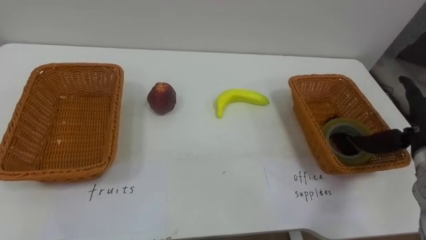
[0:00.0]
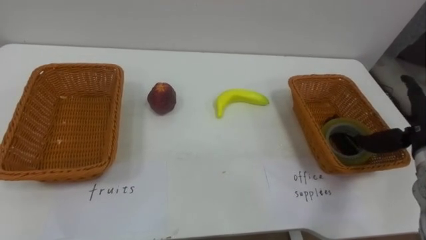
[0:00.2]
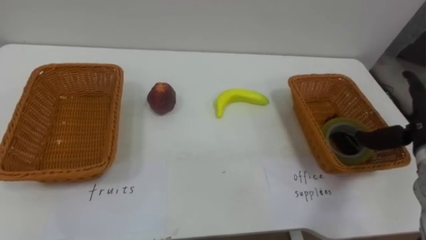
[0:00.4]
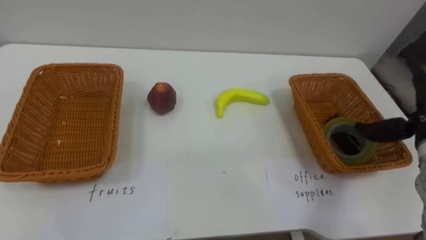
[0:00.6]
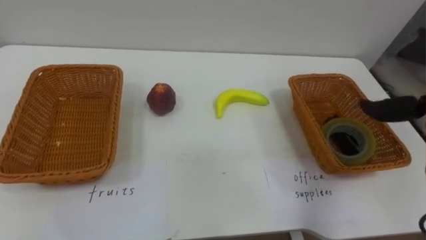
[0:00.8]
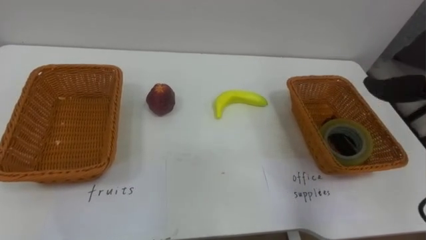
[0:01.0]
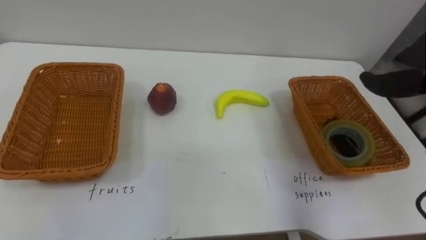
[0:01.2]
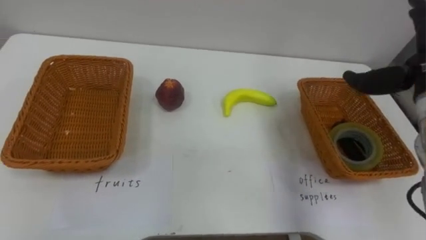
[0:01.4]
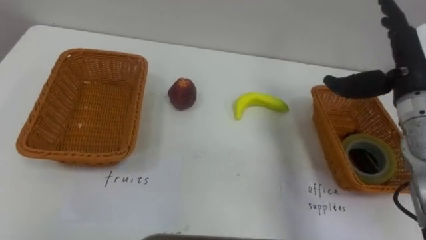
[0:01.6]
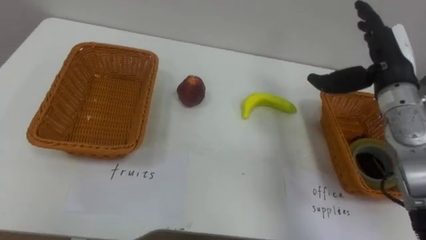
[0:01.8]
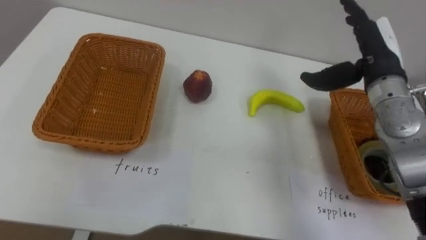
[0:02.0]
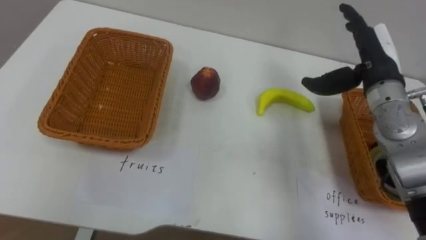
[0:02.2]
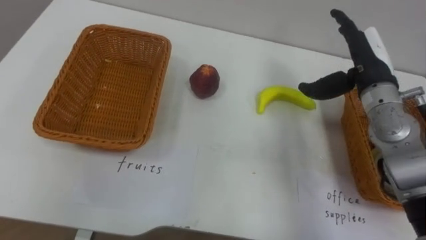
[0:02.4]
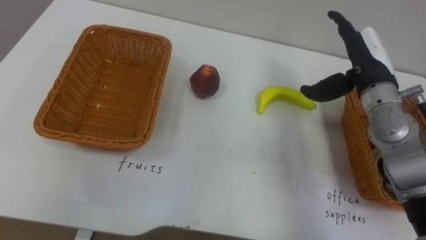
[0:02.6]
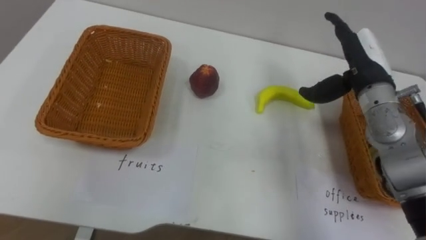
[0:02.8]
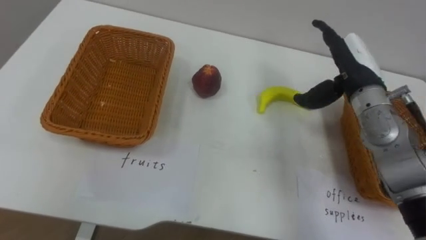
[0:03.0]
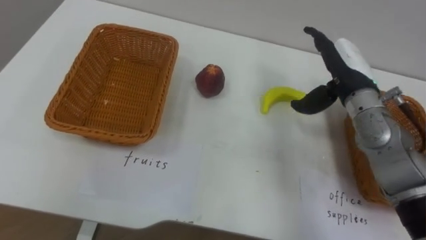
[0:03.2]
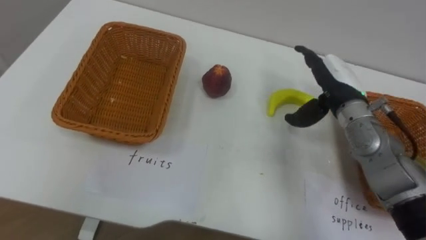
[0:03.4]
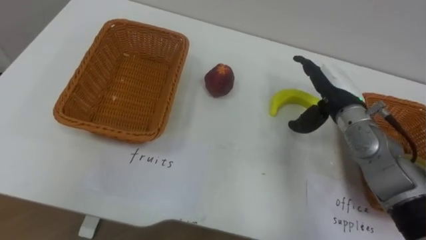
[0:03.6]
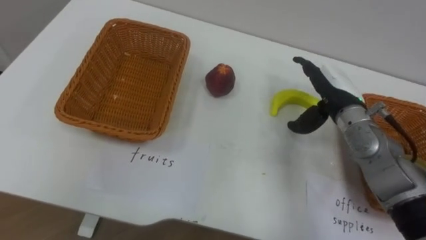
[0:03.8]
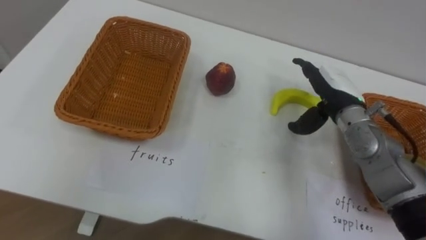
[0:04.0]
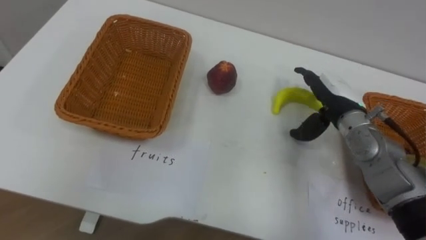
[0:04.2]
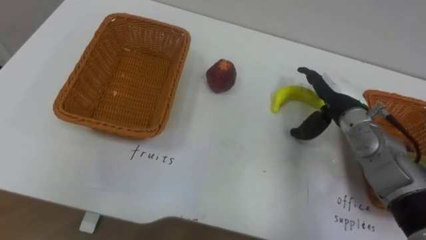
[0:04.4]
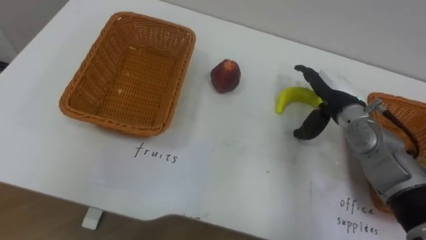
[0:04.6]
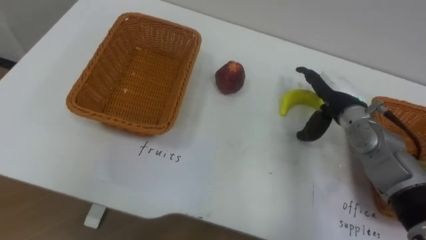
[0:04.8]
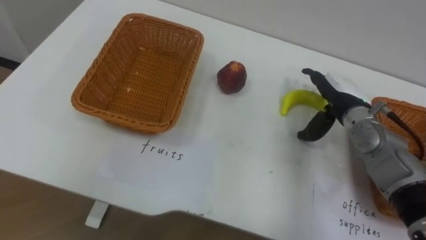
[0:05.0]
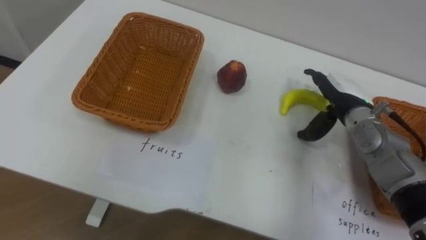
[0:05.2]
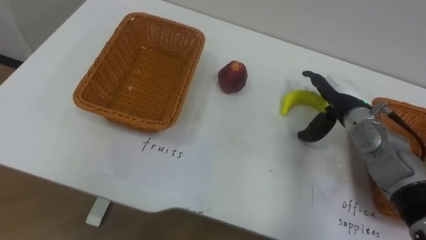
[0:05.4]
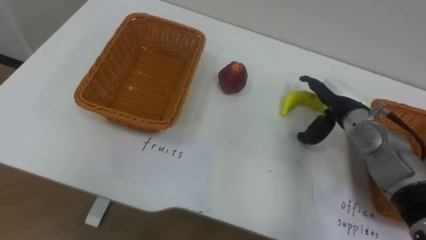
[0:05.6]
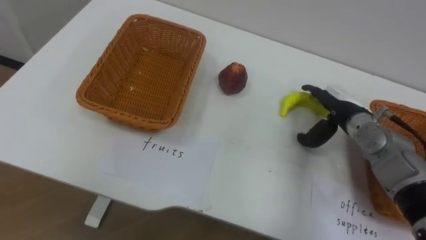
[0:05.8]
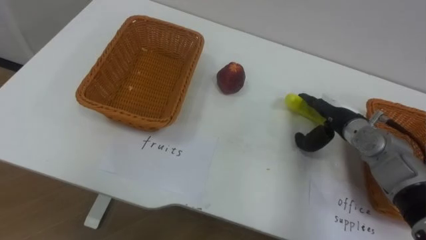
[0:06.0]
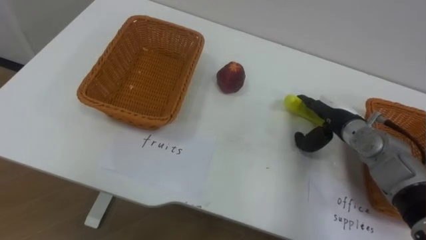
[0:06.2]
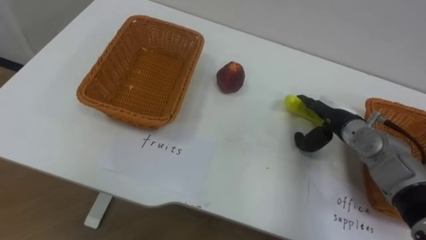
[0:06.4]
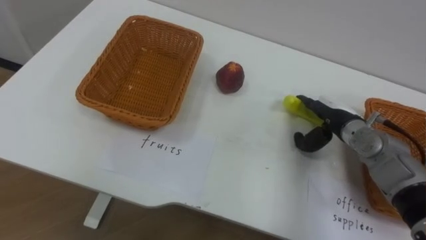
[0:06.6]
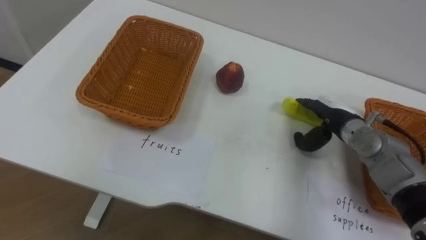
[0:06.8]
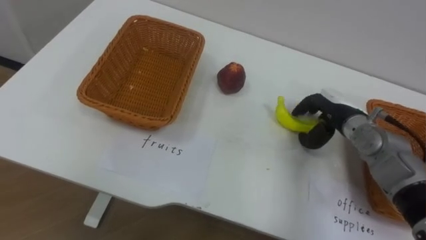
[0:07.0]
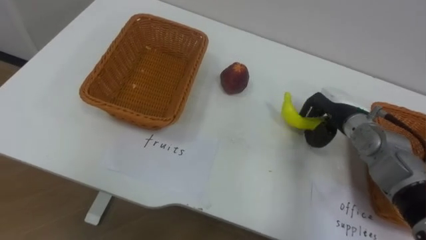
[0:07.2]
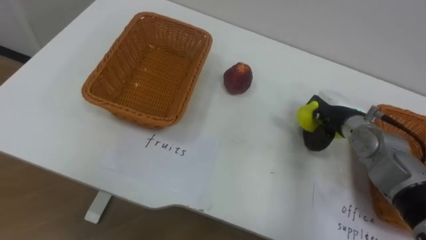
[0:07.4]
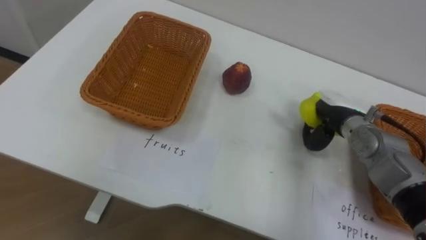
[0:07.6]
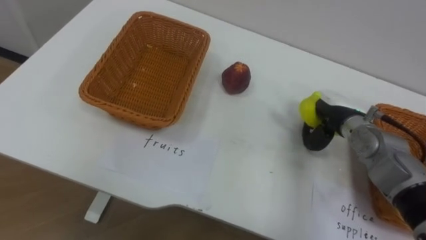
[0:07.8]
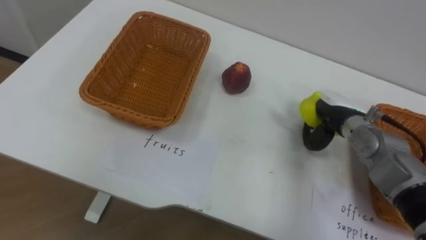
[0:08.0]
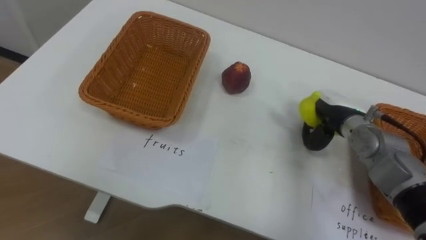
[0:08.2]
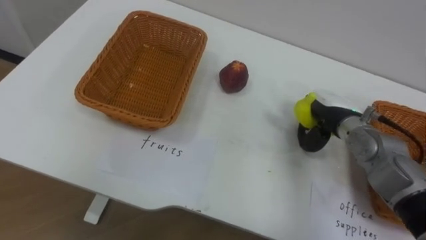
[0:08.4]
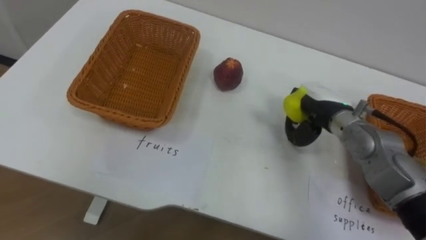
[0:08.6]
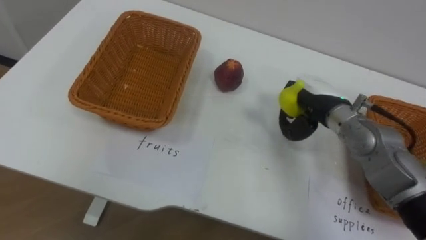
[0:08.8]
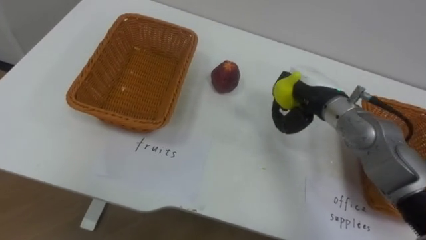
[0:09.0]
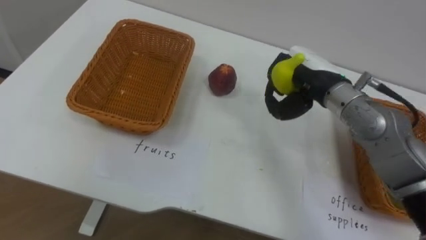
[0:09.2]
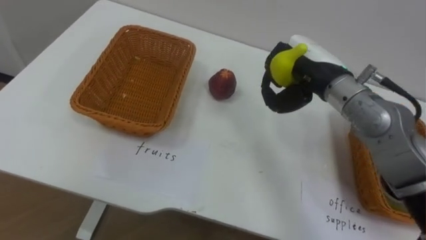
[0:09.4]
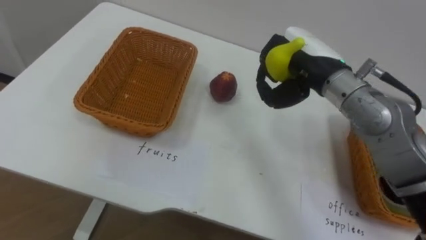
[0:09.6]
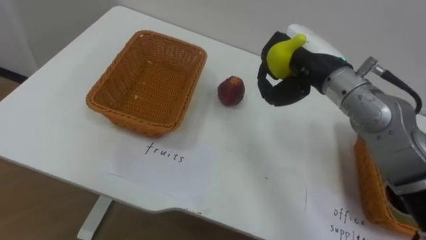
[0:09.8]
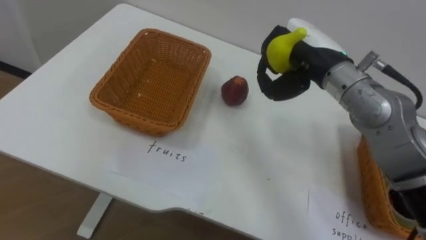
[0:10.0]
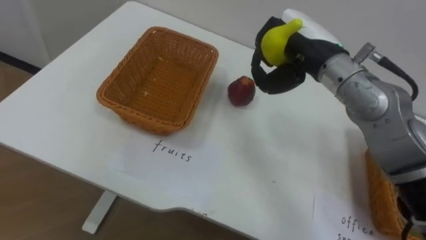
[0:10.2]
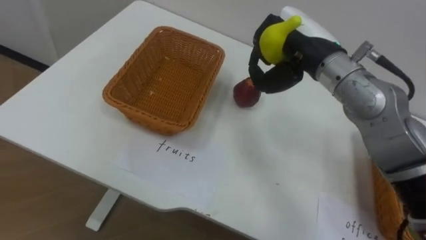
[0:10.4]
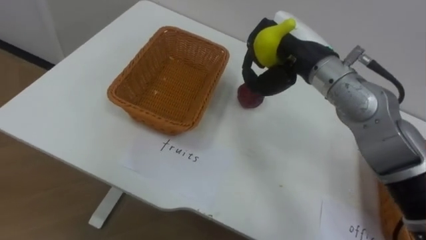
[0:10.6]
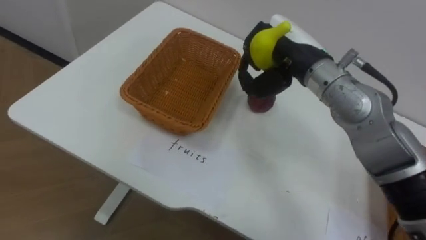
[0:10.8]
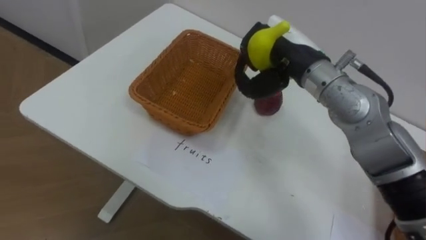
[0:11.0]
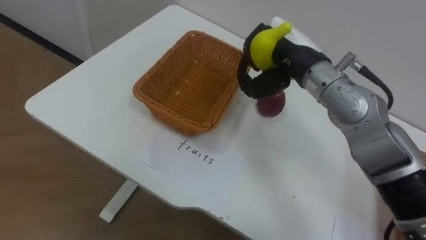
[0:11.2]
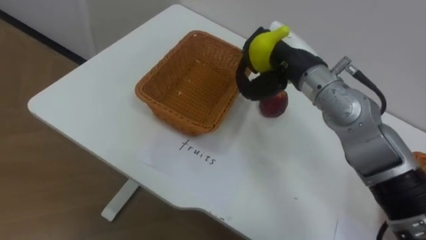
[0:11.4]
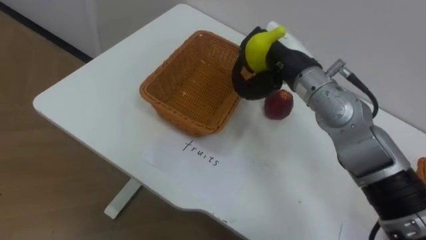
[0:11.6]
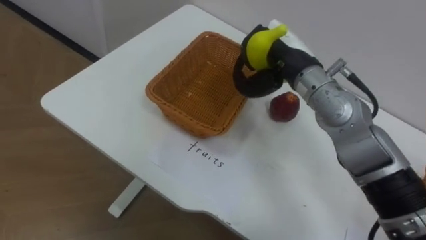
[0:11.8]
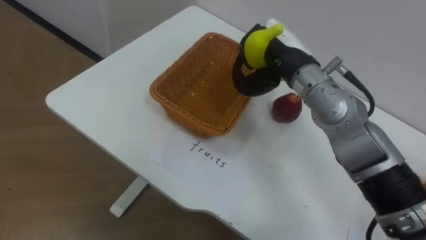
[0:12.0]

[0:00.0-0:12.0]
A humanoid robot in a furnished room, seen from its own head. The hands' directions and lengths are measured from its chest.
Task of the whole recording: Separate the items on the table and place them into the two baskets.
0:01.6 to 0:03.0: The right hand is displaced to the left by roughly 5 cm.
0:03.0 to 0:04.4: The right hand travels downward by approximately 5 cm.
0:04.4 to 0:06.0: The right hand ends up some 5 cm from where it was.
0:06.0 to 0:07.6: The right hand closes.
0:07.6 to 0:09.0: The right hand moves upward and to the left, roughly 10 cm.
0:09.0 to 0:10.4: The right hand goes approximately 10 cm upward.

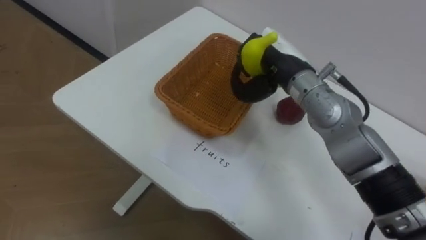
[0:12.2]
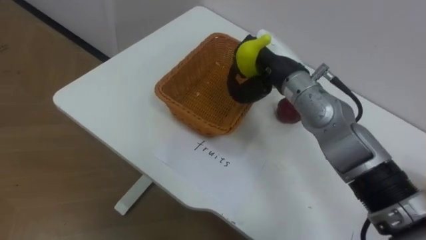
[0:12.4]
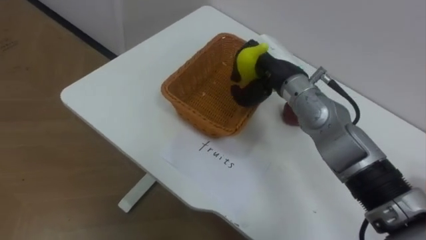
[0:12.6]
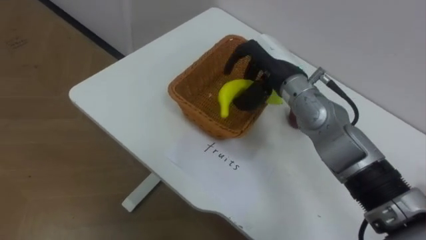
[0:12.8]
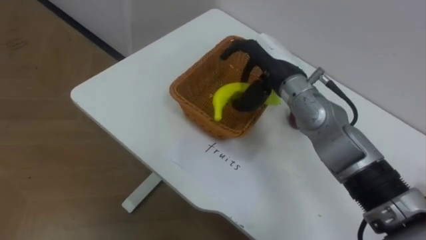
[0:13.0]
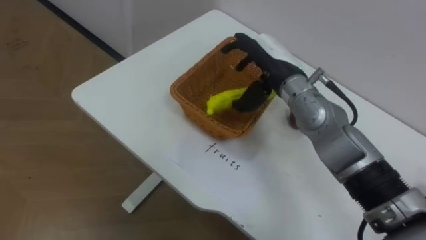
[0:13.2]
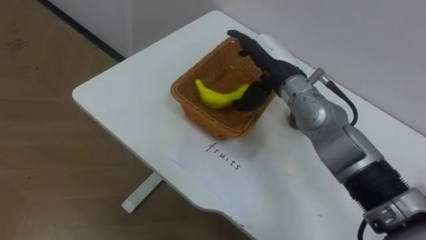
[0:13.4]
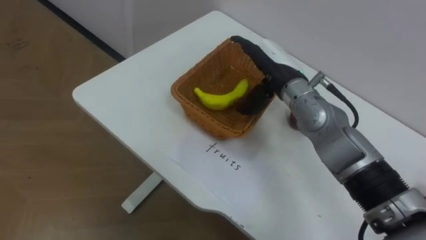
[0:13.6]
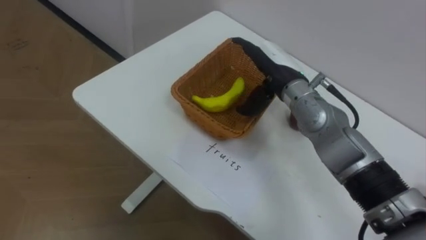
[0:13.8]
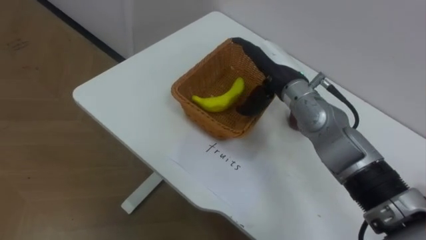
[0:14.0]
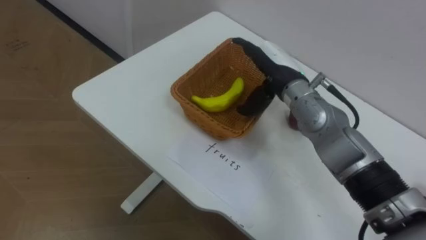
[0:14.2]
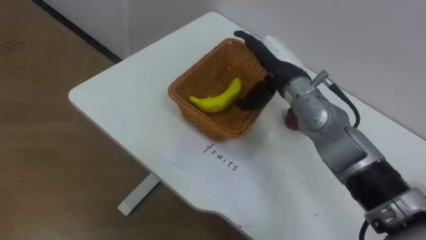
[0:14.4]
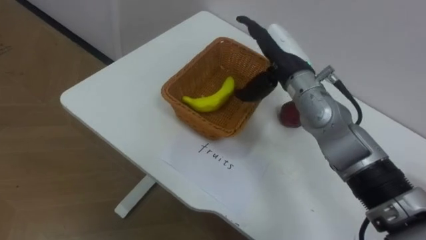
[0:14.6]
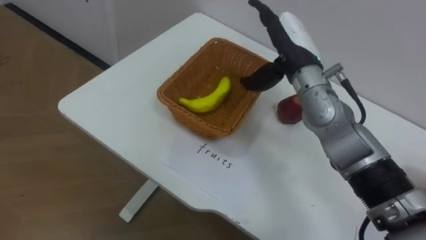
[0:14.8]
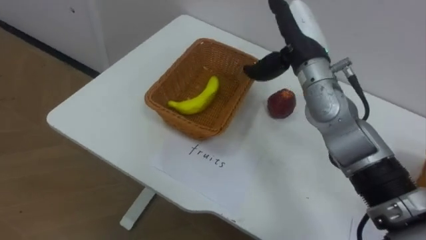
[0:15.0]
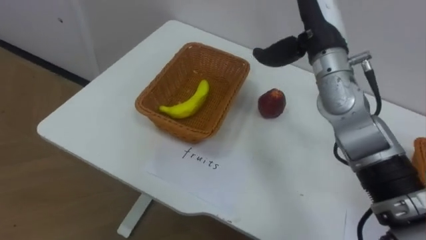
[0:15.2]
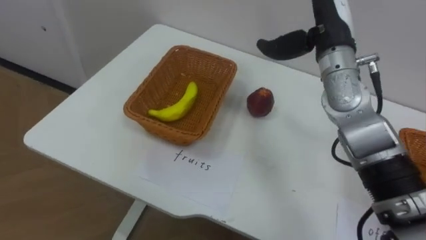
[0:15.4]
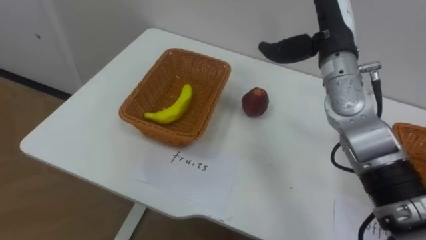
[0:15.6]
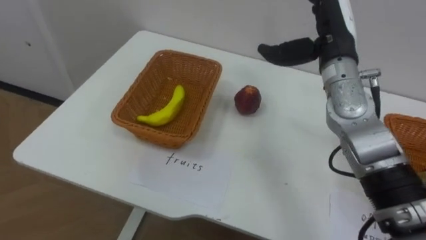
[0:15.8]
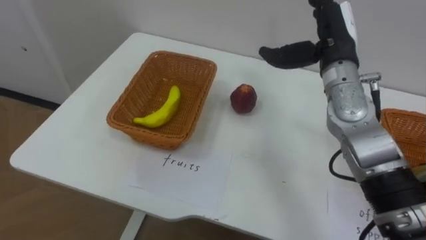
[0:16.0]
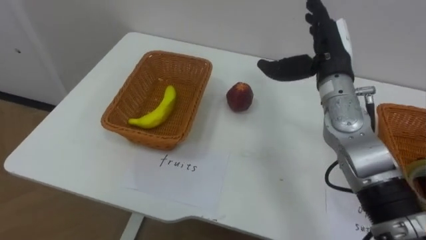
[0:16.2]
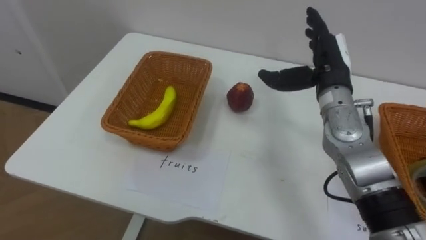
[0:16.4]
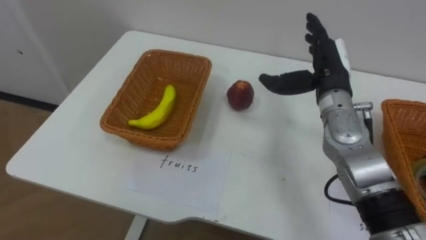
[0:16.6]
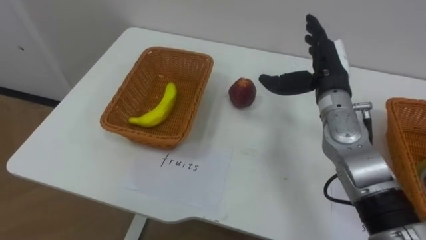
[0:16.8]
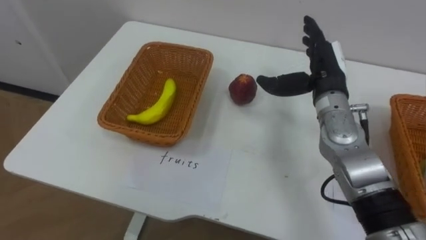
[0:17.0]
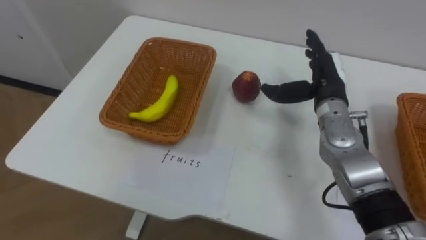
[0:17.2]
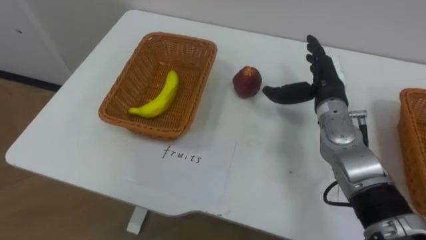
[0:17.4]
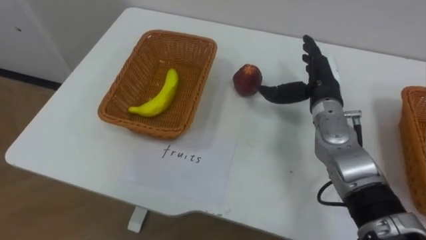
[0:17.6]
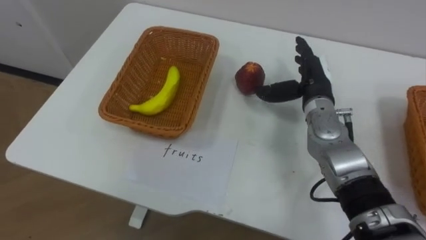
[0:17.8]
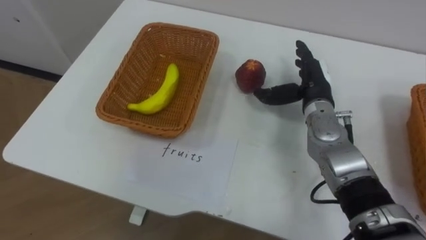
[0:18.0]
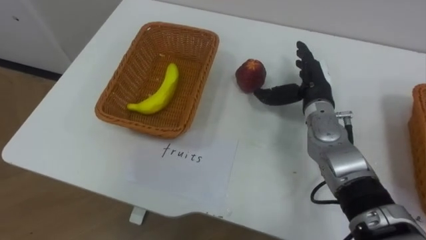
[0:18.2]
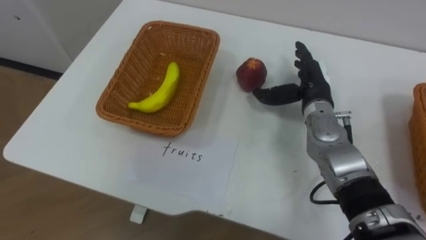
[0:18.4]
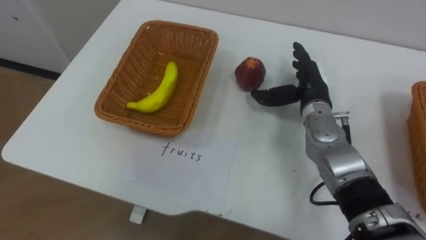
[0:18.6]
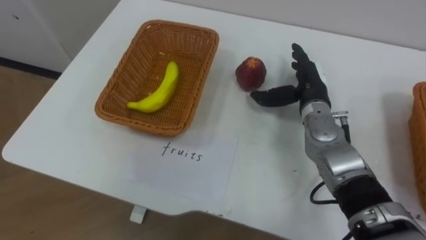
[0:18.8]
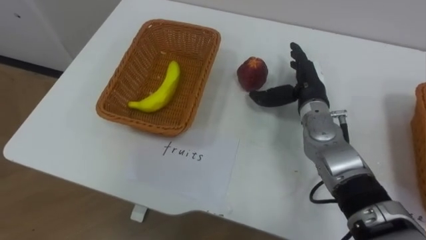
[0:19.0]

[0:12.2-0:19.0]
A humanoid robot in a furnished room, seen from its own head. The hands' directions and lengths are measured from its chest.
Task of the whole recording: Separate the items on the table and place them into the two baskets.
0:12.2 to 0:13.6: The right hand opens up.
0:13.6 to 0:15.0: The right hand goes some 5 cm upward.
0:15.0 to 0:16.2: The right hand travels to the right by some 5 cm.
0:16.2 to 0:17.6: The right hand is displaced downward by some 5 cm.
